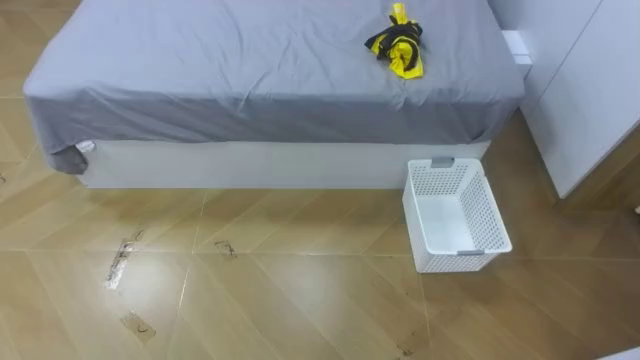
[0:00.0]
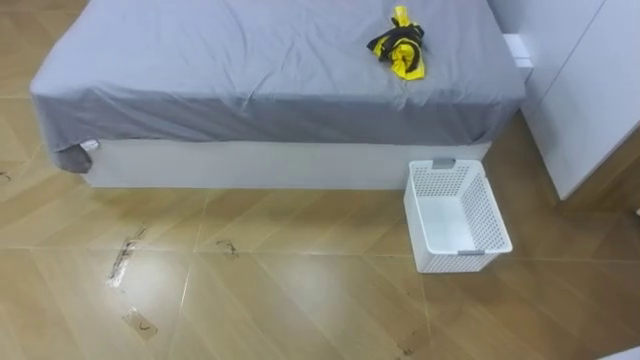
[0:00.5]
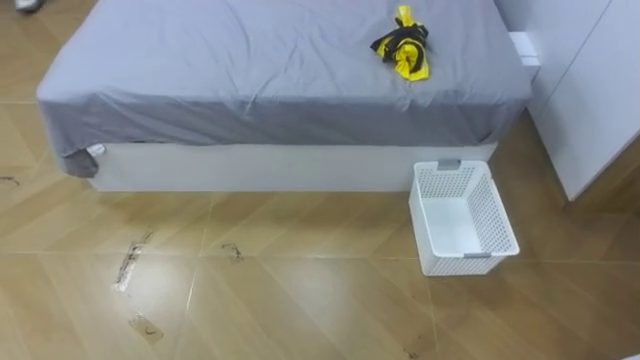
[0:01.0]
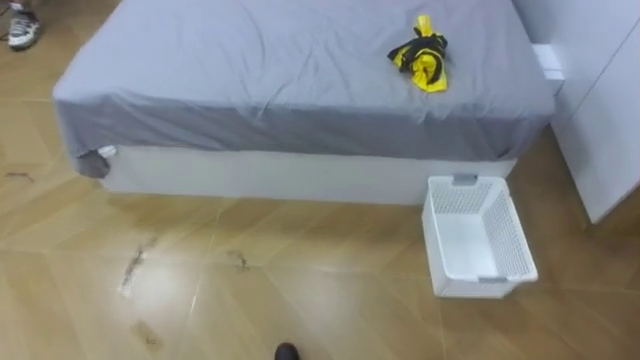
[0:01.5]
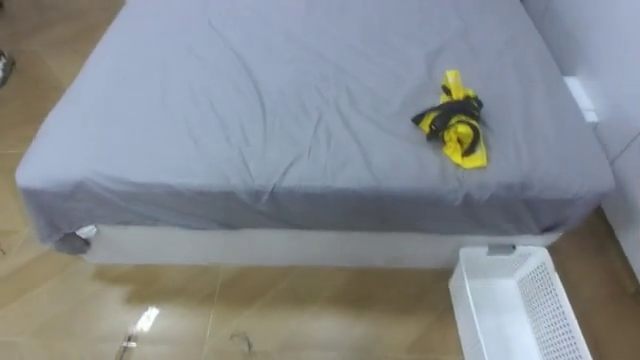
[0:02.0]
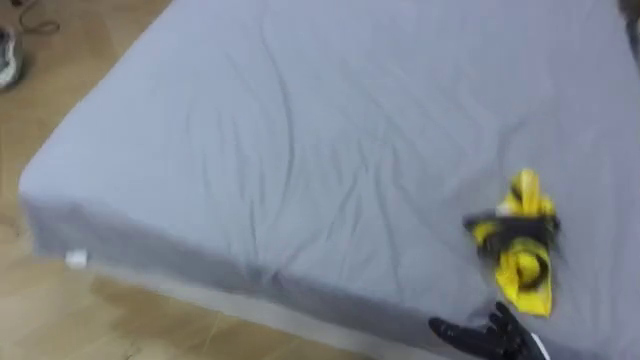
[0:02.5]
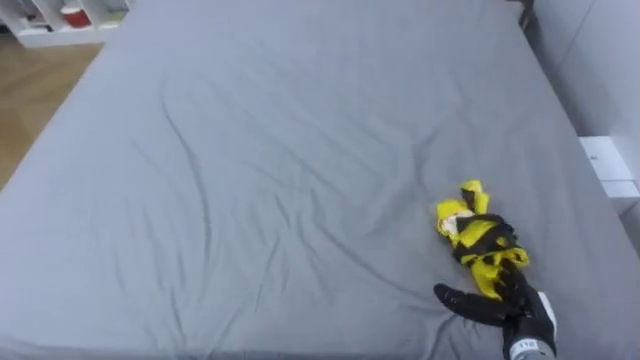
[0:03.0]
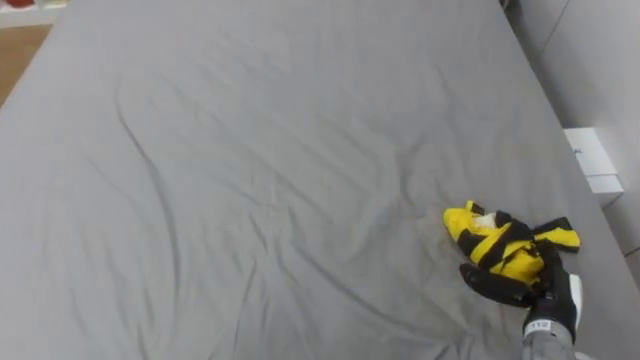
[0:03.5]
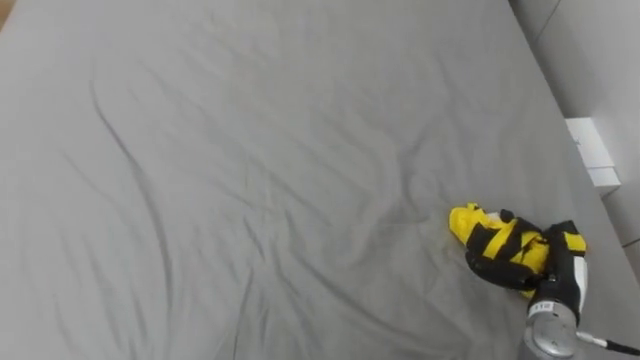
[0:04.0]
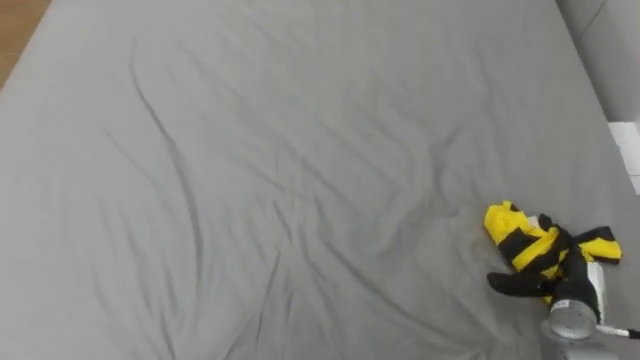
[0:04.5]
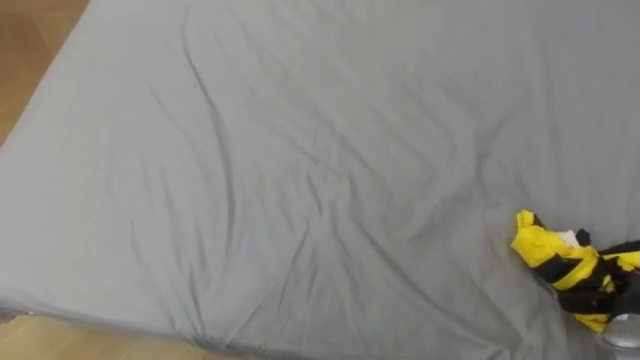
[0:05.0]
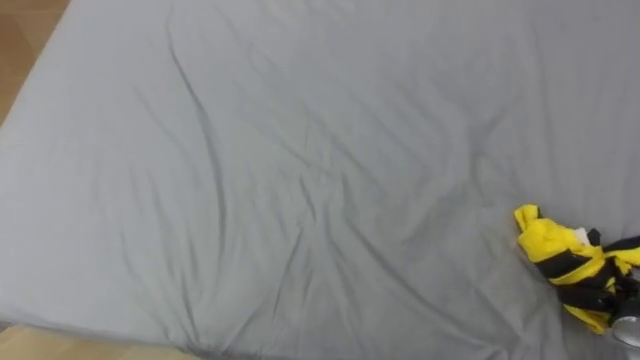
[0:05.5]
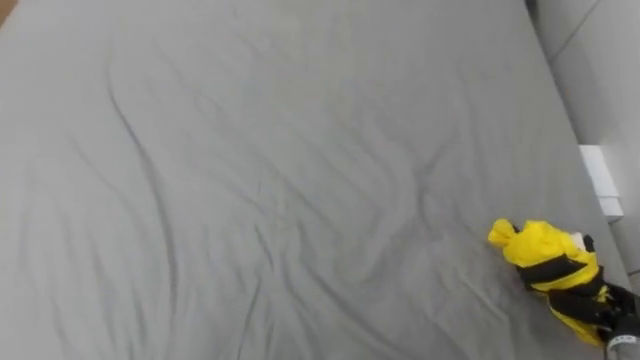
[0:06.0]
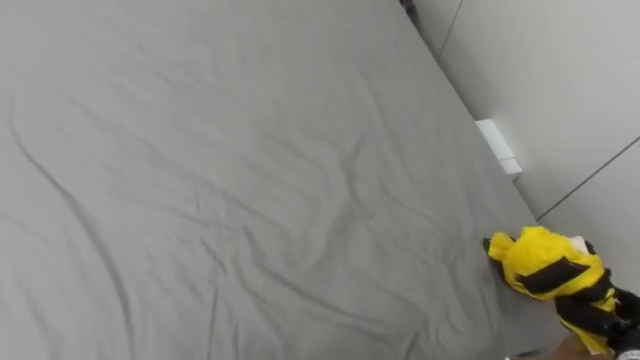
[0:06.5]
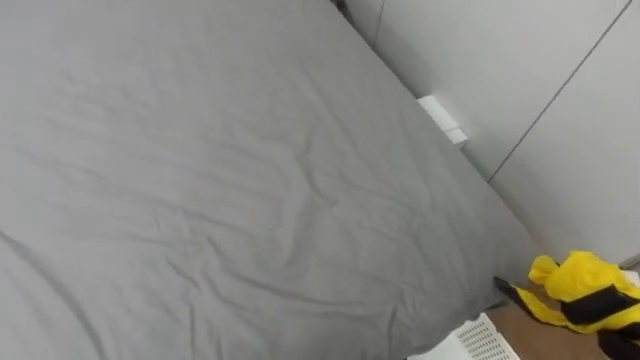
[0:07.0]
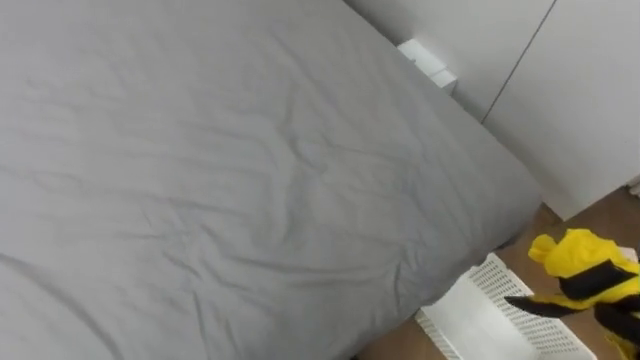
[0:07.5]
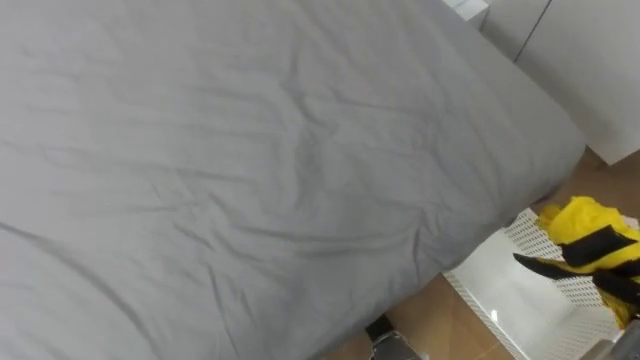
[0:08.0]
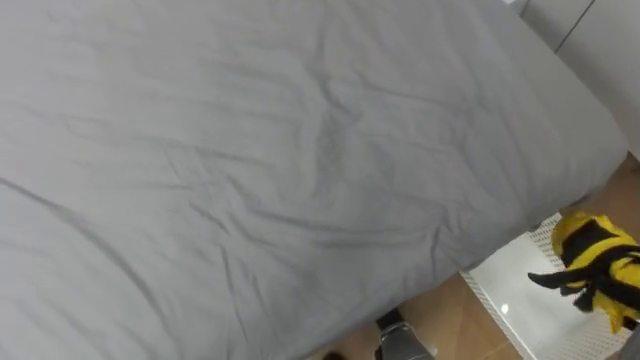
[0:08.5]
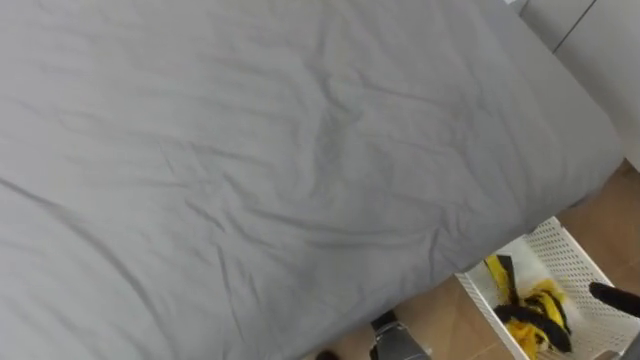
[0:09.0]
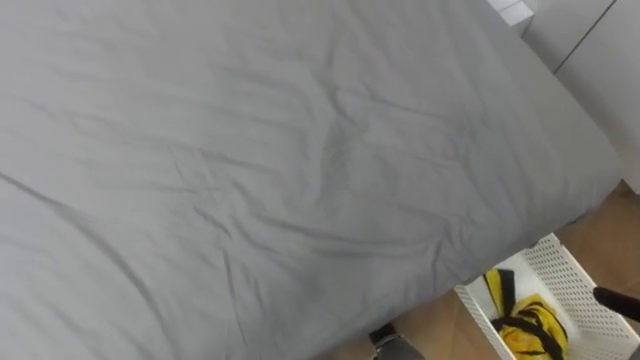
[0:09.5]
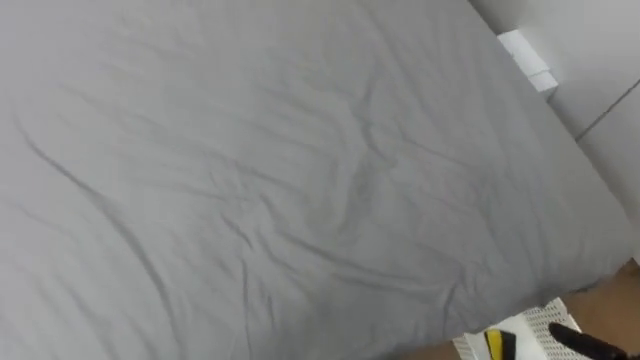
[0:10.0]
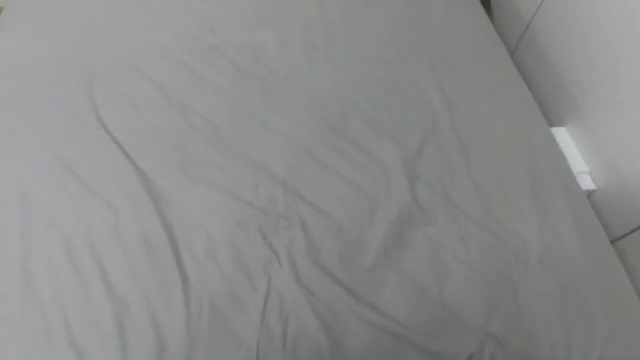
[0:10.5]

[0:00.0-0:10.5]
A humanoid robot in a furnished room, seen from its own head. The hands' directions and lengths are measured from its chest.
Task of the whole recording: Pick up the yellow clothes on the bed and place them into the white basket on the right.
0:04.0 to 0:06.5: The right hand heads to the right and backward, covering some 10 cm, and closes.

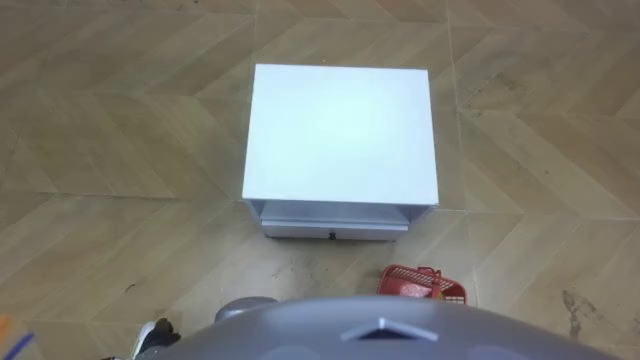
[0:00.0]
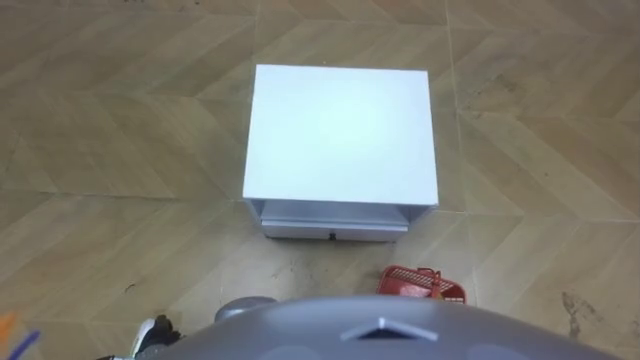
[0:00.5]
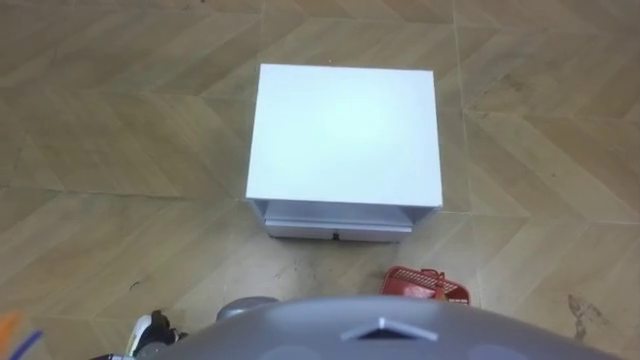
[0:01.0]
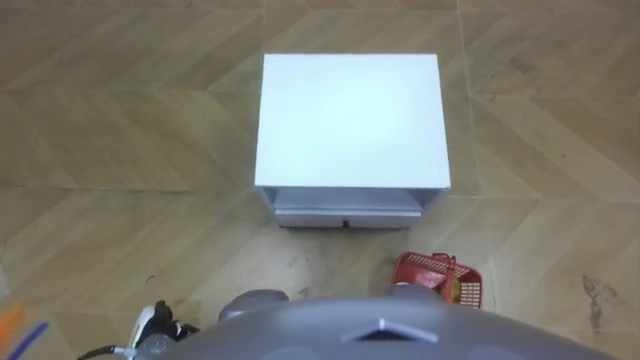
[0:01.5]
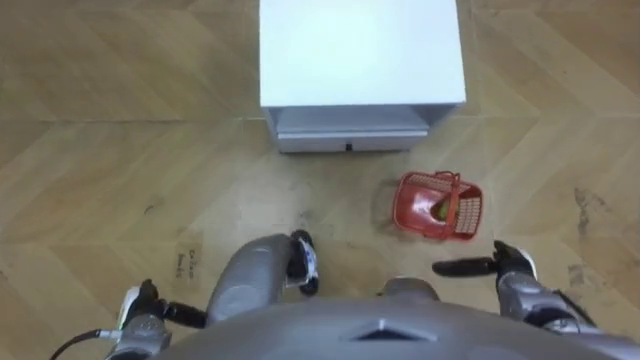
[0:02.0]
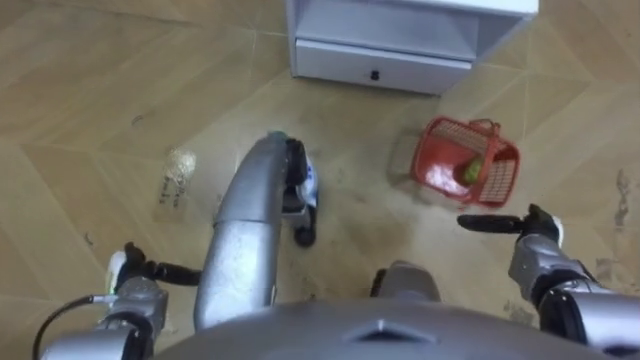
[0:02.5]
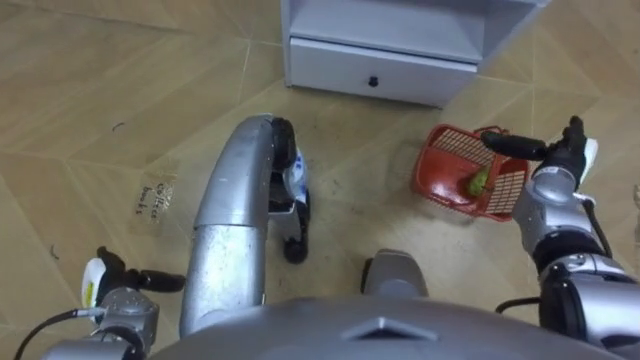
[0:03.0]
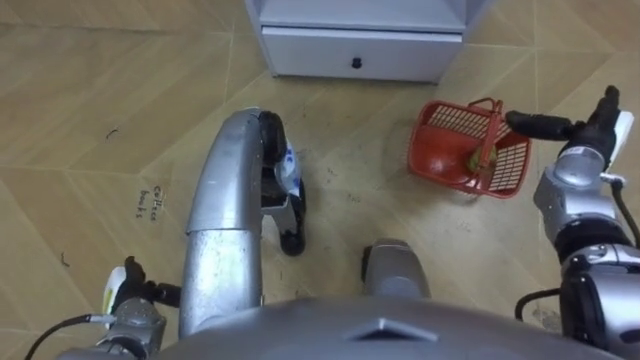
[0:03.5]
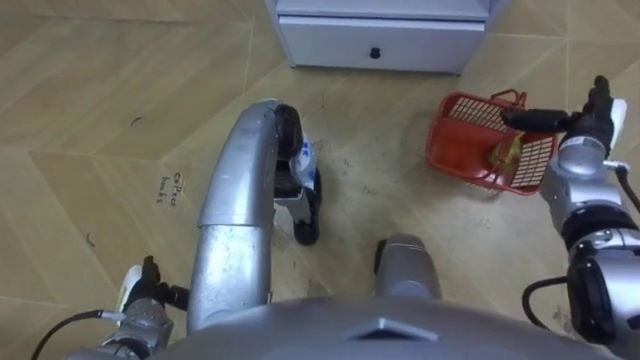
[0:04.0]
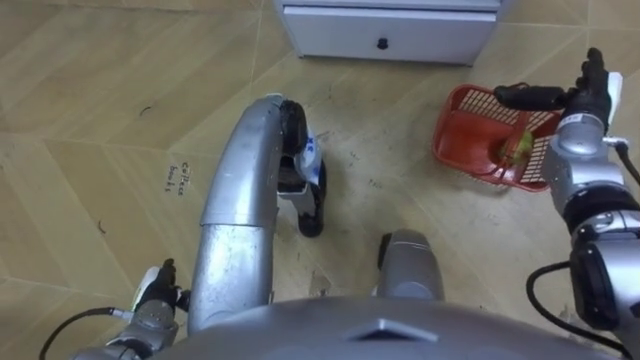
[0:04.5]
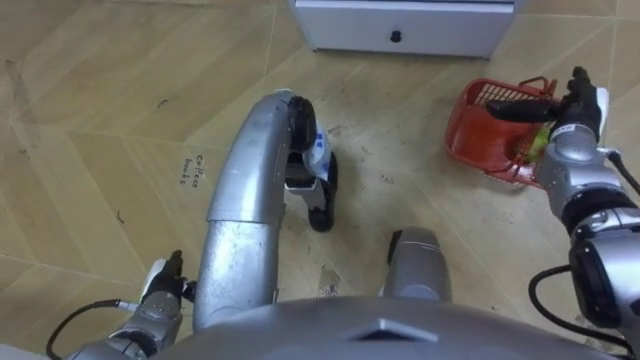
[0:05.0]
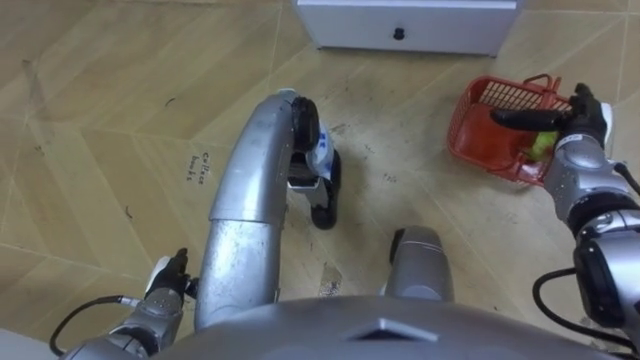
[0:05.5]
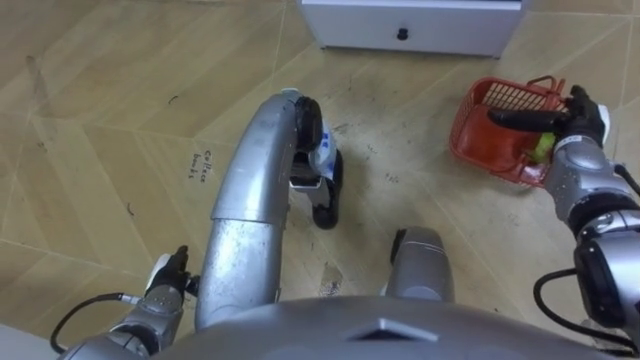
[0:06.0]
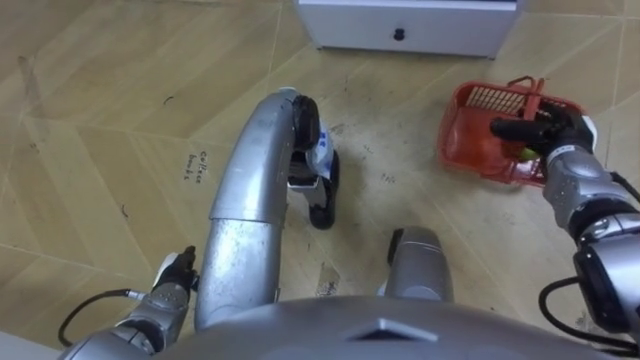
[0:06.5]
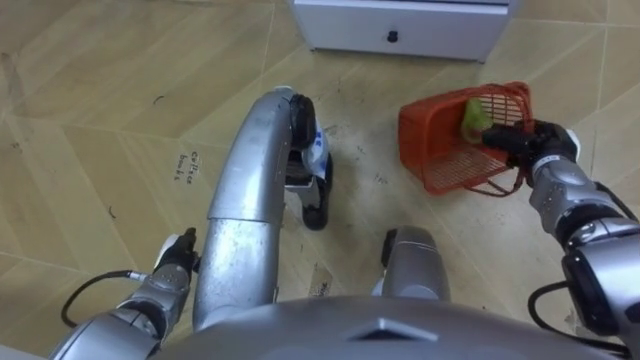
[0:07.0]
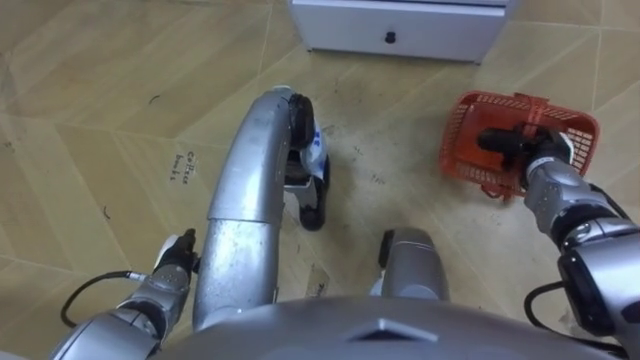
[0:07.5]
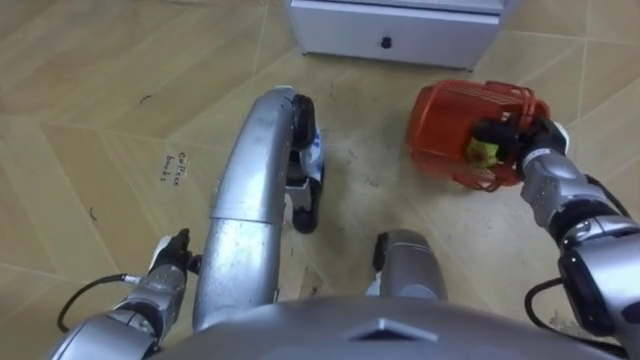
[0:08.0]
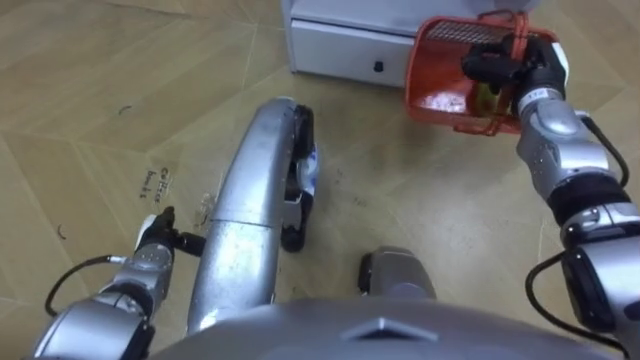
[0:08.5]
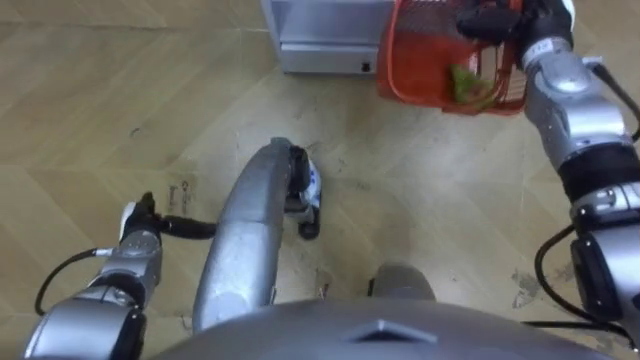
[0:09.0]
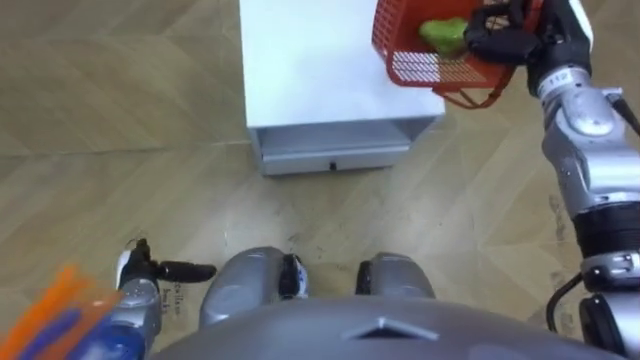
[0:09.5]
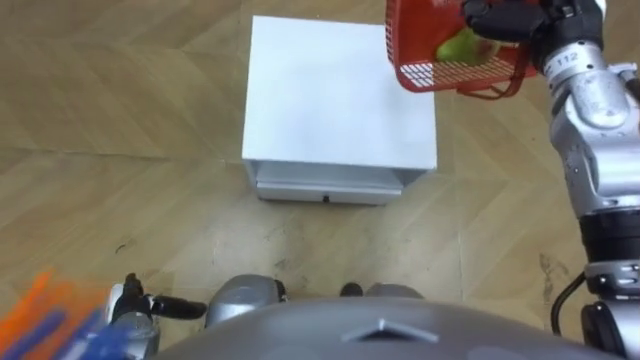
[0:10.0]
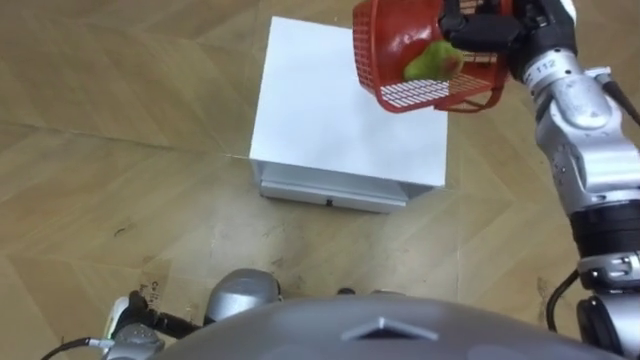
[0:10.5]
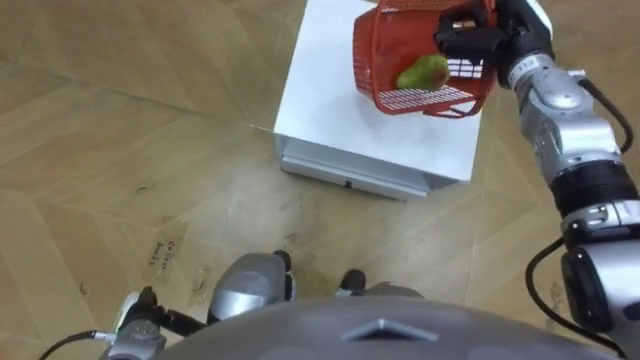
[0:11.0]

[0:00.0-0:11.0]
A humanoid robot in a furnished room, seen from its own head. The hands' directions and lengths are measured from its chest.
Task of the whole recording: Pick up the fruit basket from the floor and place it on the cabinet.
0:02.0 to 0:03.5: The right hand is displaced forward, upward and to the right by some 25 cm.
0:03.5 to 0:05.5: The left hand heads to the right, covering some 5 cm.
0:05.5 to 0:07.5: The right hand ends up about 5 cm from where it was, and closes up.
0:07.5 to 0:09.0: The right hand shifts some 20 cm upward and forward, while the left hand goes roughly 5 cm forward.
0:09.0 to 0:11.0: The left hand is displaced backward by some 15 cm.
